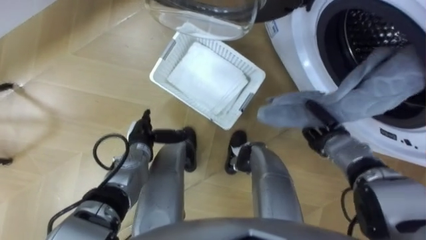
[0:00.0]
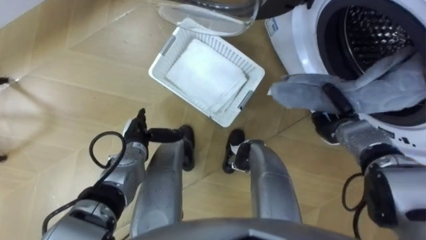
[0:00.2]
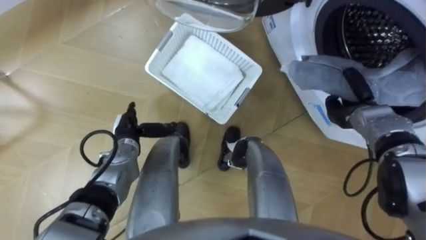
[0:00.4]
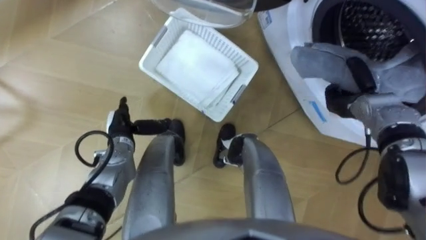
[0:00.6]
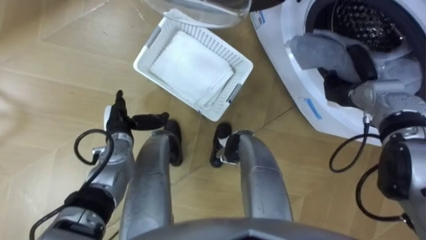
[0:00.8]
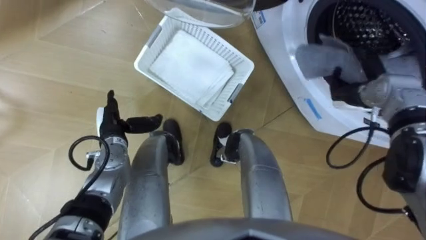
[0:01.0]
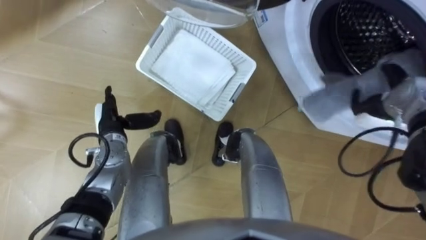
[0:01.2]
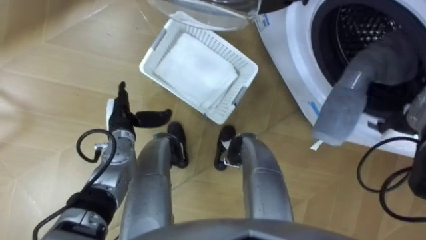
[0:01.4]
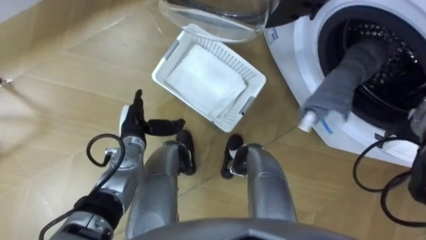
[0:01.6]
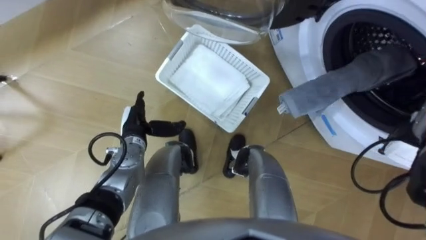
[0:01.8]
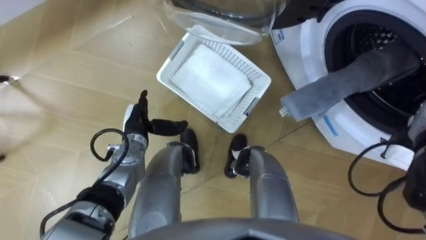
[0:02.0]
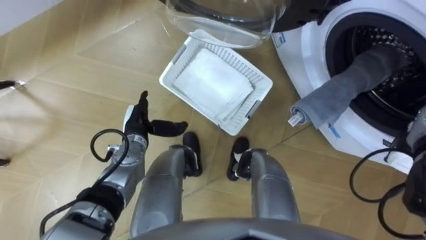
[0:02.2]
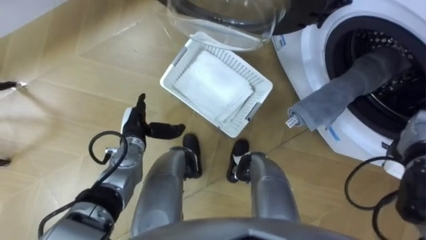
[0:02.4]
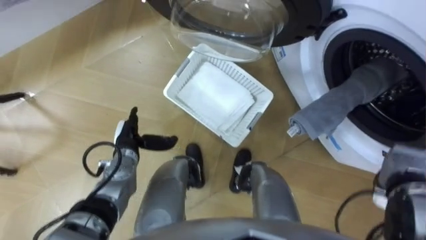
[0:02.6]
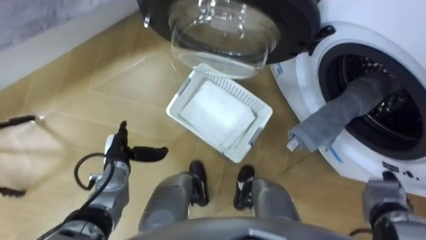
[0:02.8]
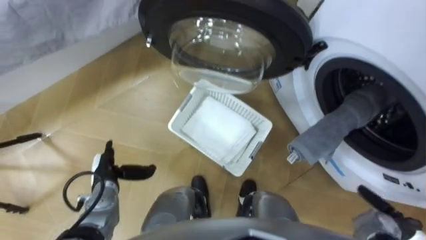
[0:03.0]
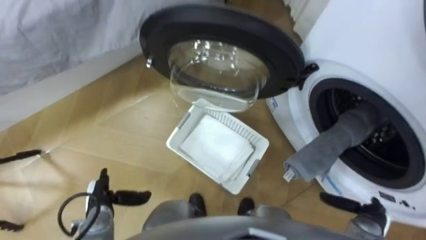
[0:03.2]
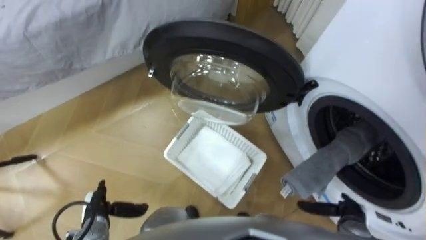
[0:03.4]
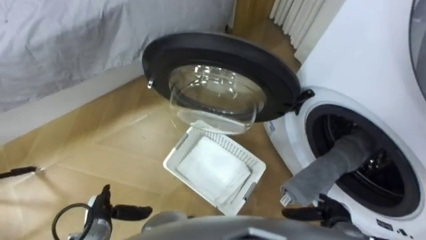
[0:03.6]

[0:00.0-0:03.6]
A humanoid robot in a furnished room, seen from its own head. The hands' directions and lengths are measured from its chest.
Task of the whole recording: Take the towel from the basket and put it into the washing machine.
0:00.0 to 0:01.8: The right hand shifts approximately 15 cm to the right and upward, and opens its fingers.
0:01.8 to 0:03.6: The hands both shift backward, downward and to the left by approximately 25 cm.

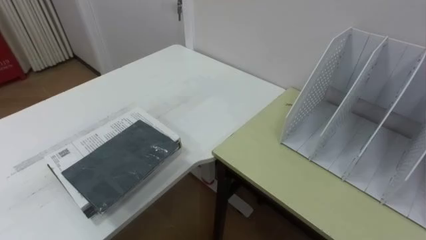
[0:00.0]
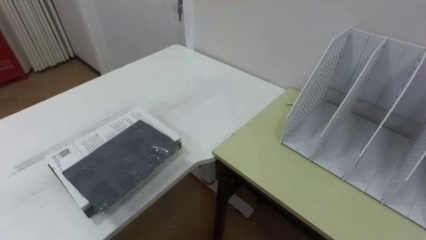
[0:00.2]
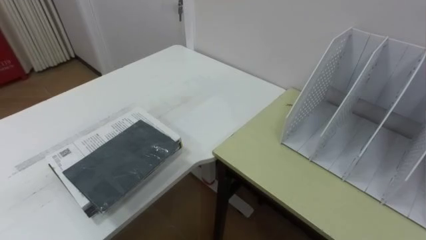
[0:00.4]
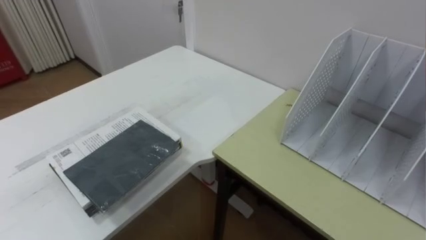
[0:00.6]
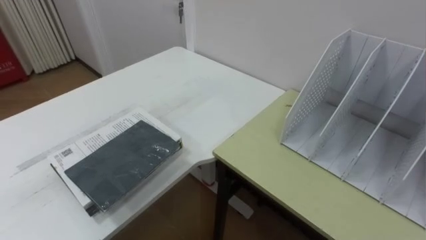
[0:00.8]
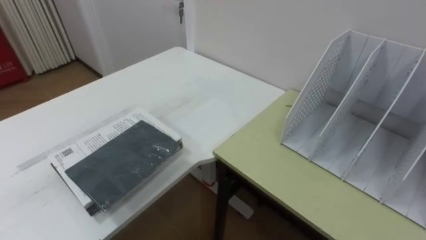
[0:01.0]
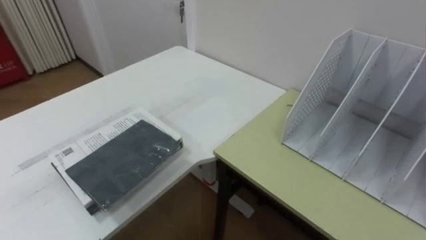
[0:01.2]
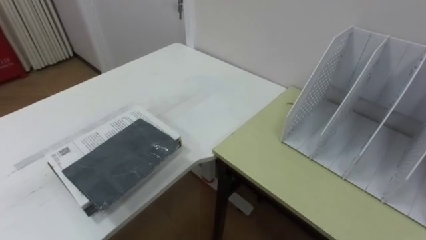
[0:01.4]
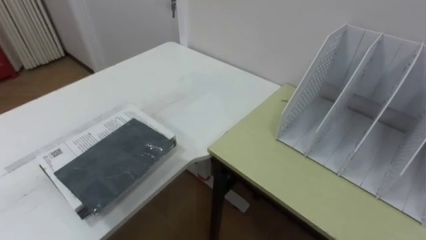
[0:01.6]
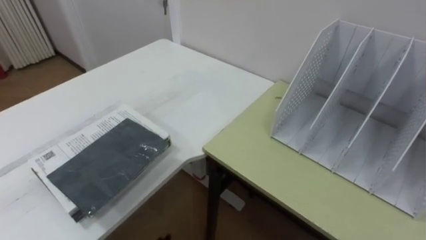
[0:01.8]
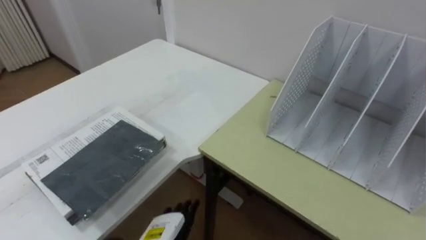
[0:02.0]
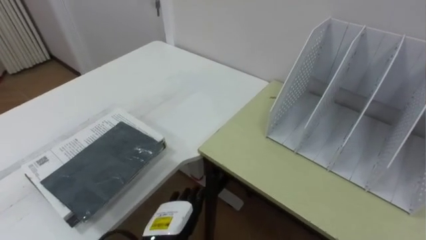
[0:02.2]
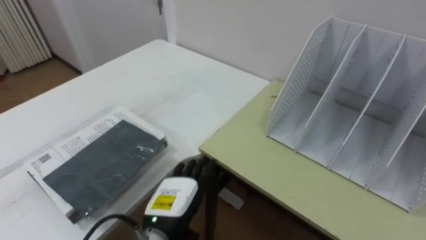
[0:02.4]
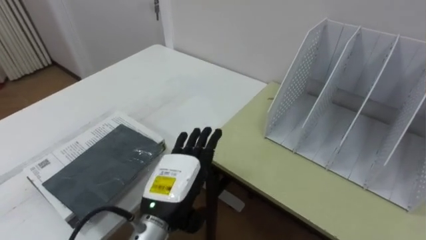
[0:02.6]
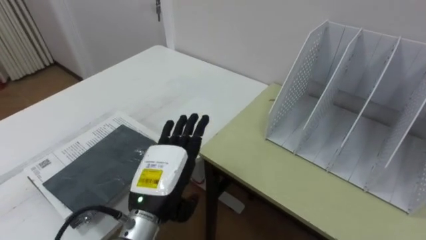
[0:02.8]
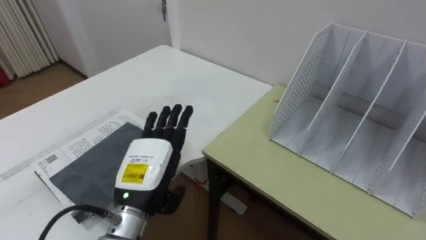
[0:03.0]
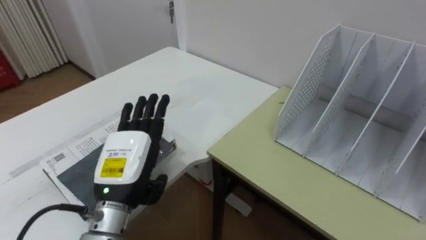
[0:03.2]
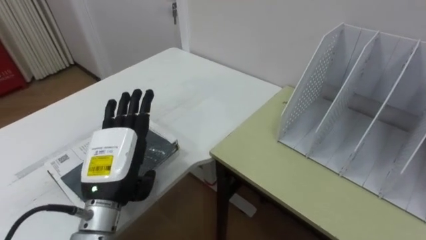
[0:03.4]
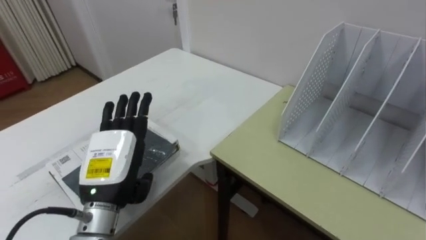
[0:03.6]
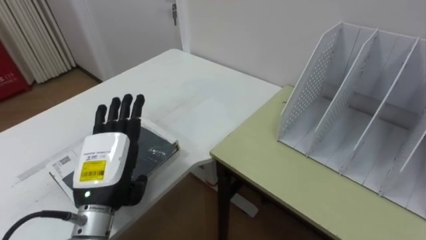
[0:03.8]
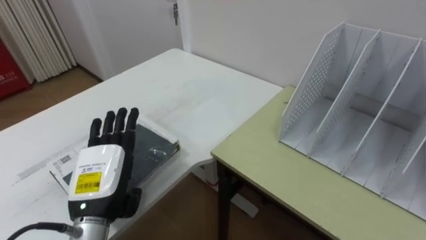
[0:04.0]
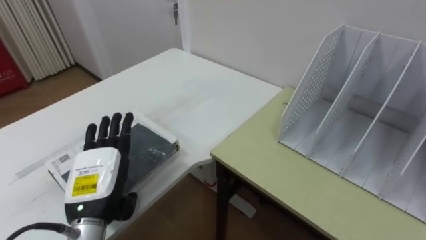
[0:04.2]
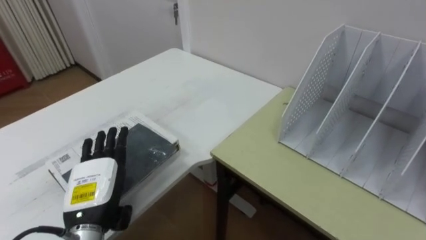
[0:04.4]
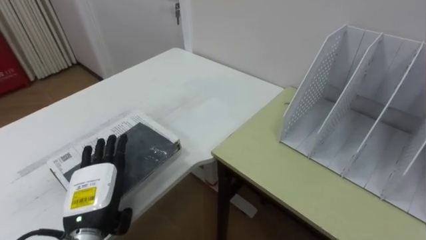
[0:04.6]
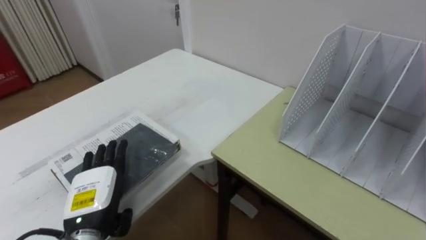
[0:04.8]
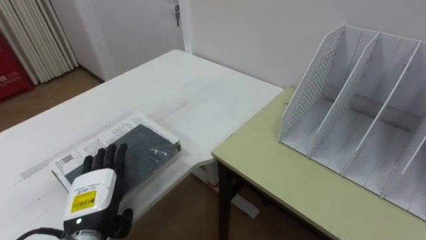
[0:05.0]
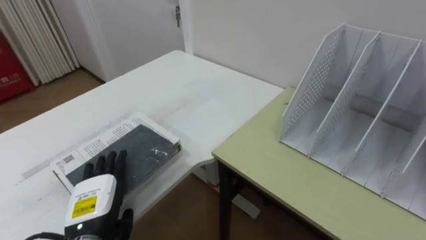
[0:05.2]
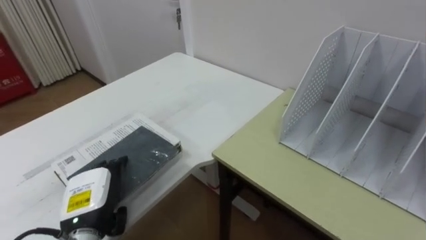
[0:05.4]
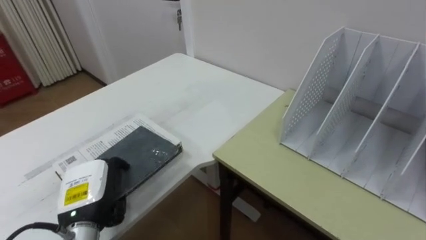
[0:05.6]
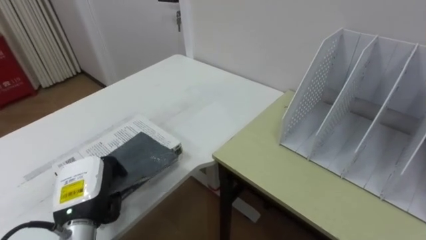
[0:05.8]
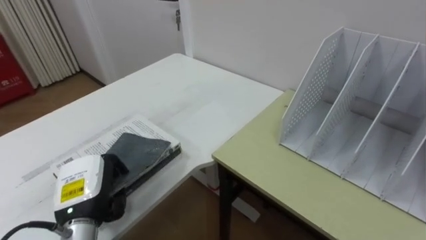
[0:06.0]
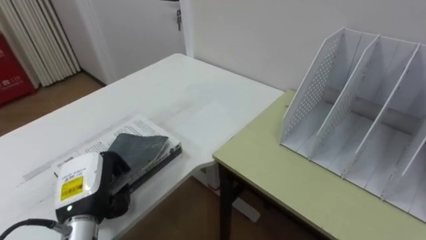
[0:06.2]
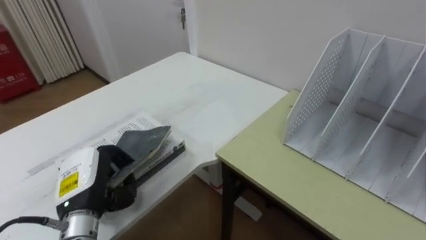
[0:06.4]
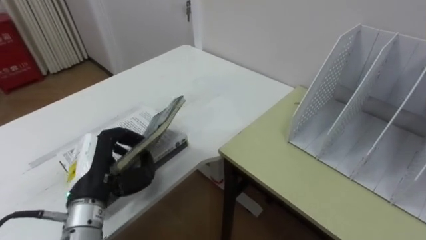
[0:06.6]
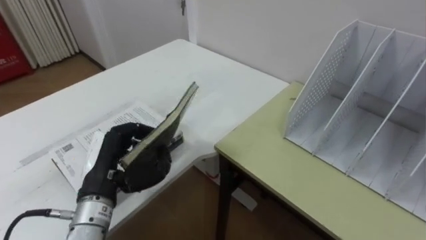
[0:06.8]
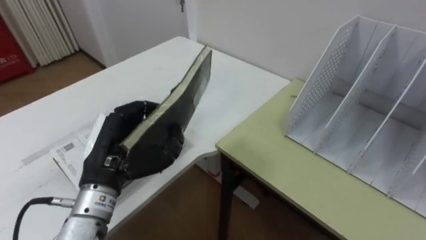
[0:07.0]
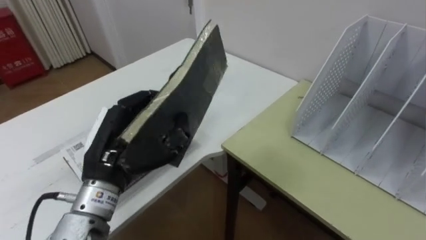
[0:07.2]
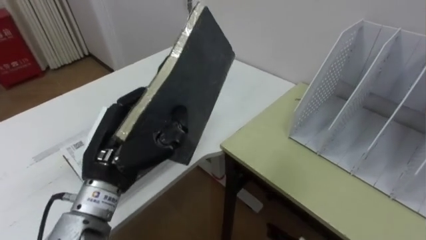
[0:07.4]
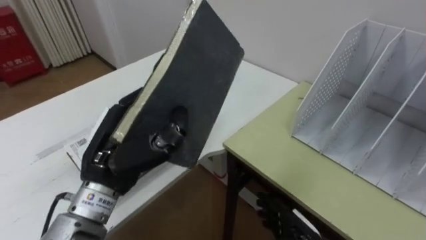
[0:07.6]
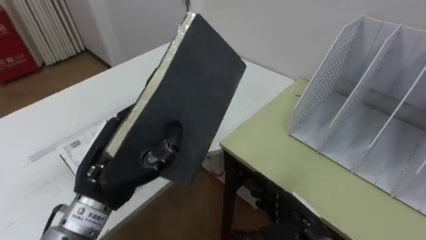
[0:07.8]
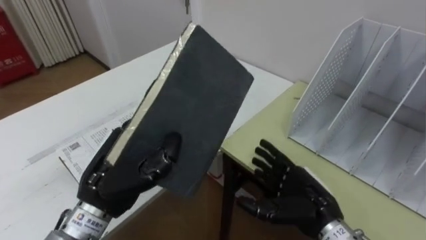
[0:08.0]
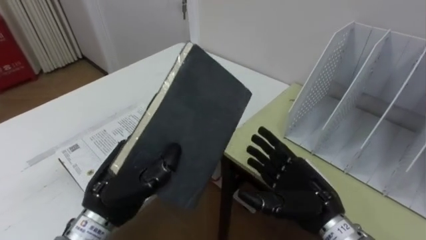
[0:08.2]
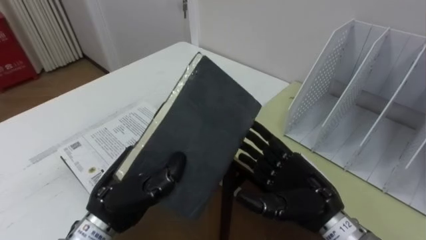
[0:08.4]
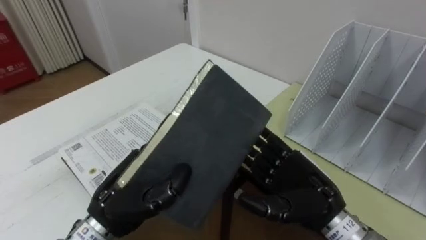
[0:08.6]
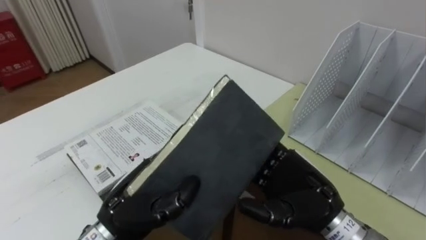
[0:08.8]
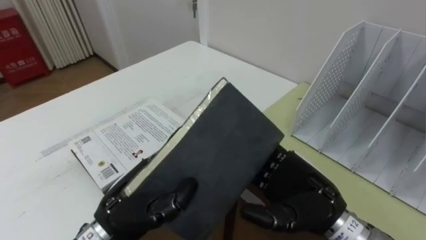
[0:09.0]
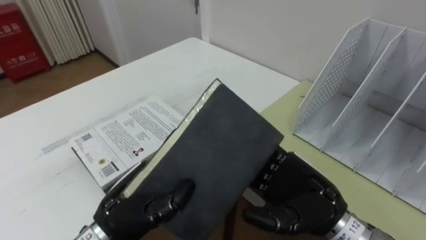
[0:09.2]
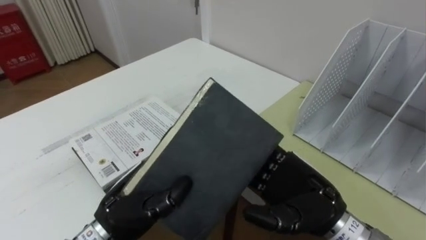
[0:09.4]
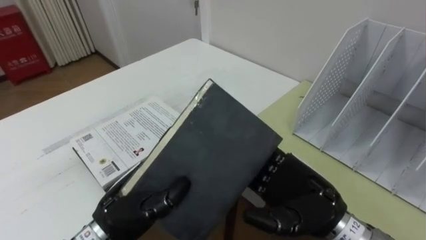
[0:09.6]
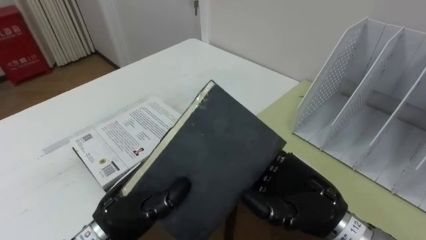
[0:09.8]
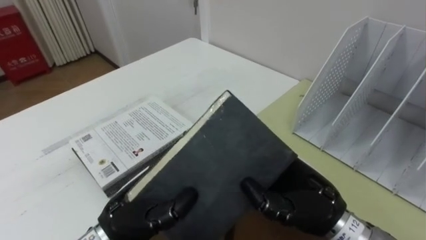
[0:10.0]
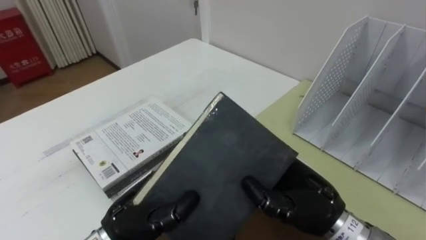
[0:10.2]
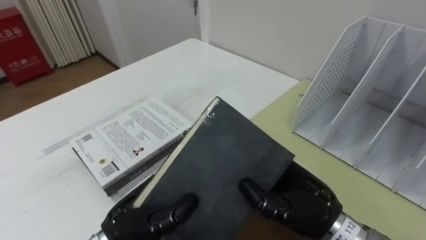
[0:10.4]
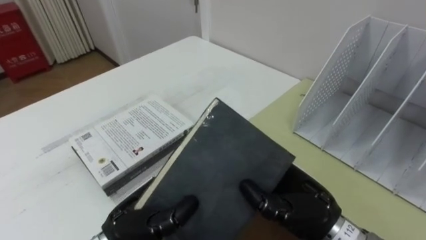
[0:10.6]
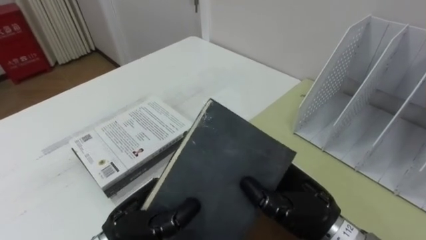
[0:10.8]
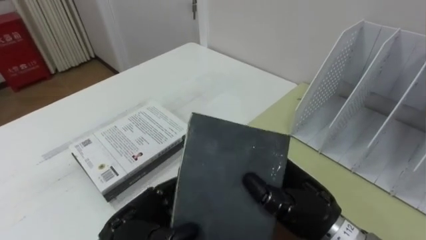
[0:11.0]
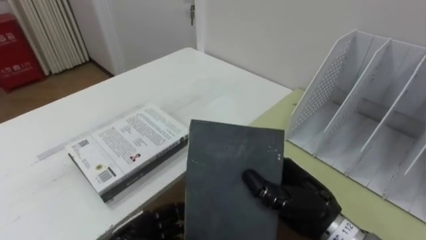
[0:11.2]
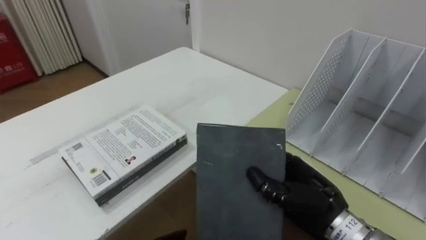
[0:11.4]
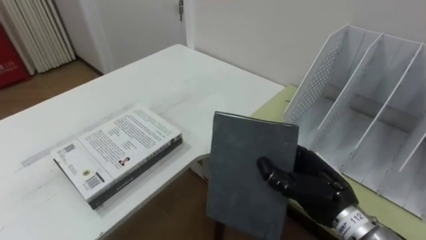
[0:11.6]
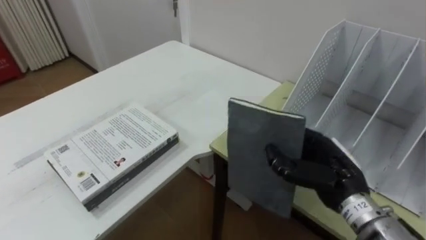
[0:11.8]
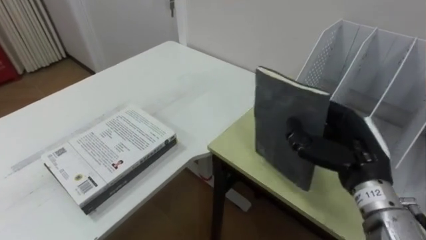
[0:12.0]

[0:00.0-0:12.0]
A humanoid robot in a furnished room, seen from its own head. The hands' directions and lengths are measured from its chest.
Task of the whole recording: Put the books on the table onto the bookshelf.
0:03.0 to 0:04.4: The left hand heads to the left, covering roughly 10 cm.
0:04.4 to 0:06.0: The left hand closes its fingers.
0:06.0 to 0:07.6: The left hand is displaced upward and to the right by approximately 15 cm.
0:07.6 to 0:09.0: The right hand goes about 15 cm upward, while the left hand is displaced downward by approximately 5 cm.
0:09.0 to 0:10.4: The right hand closes.
0:10.4 to 0:12.0: The right hand shifts roughly 10 cm to the right.

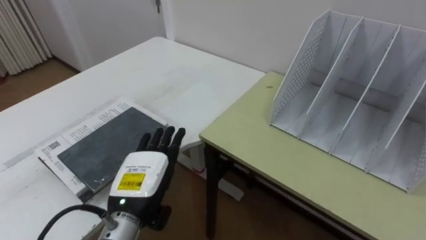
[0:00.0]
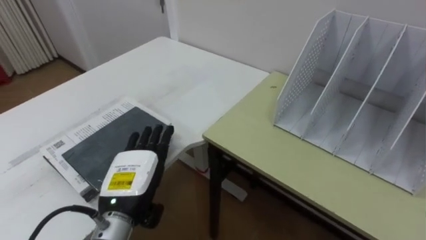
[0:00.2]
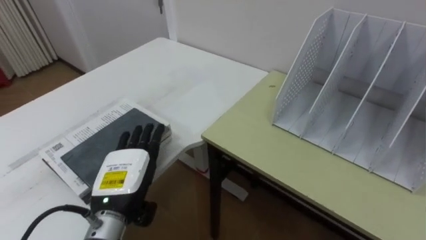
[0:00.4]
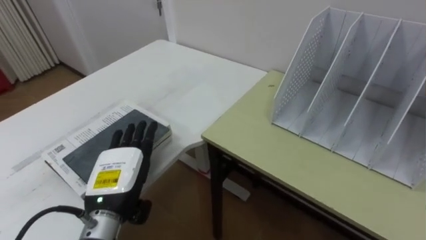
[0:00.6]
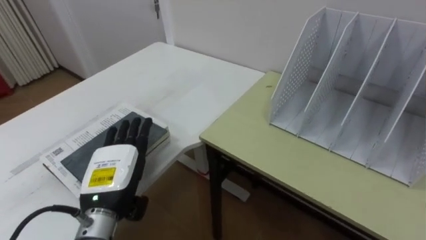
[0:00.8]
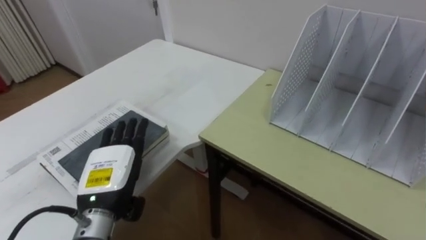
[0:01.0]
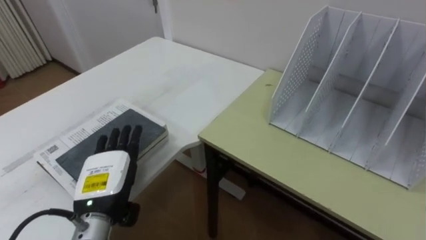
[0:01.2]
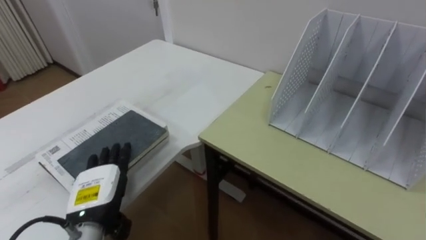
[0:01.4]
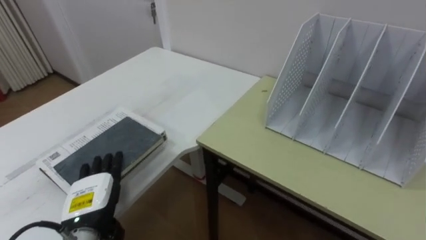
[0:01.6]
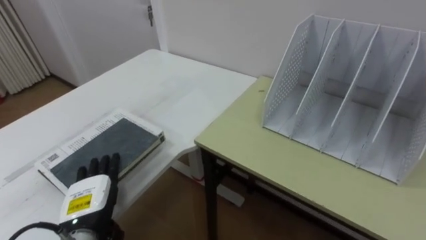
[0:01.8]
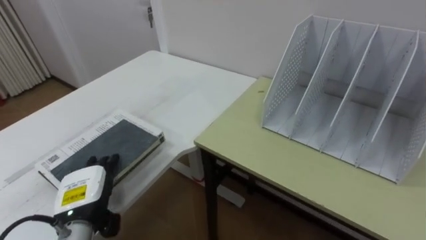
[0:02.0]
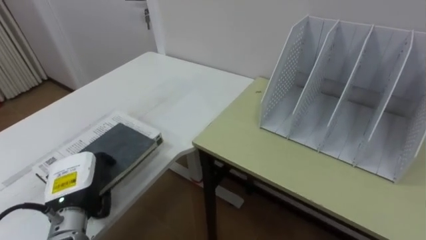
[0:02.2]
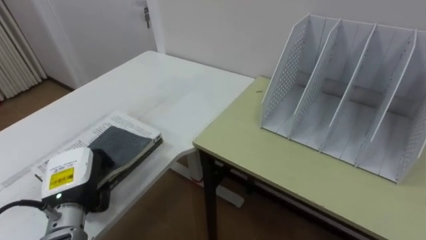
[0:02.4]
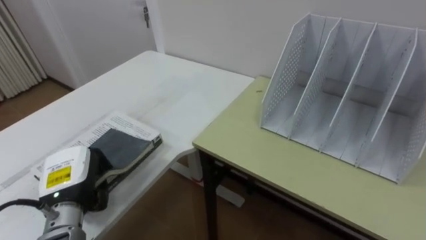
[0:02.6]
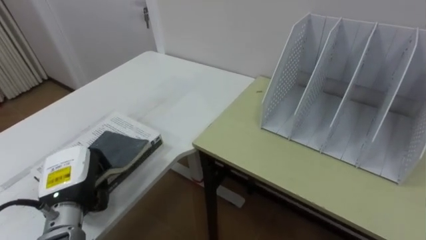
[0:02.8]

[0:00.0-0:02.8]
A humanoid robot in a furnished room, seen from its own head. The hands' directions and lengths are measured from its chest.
Task of the whole recording: Put the books on the table onto the bookshelf.
0:00.0 to 0:01.4: The left hand goes approximately 10 cm to the left.
0:01.4 to 0:02.8: The left hand travels to the left by approximately 5 cm, and closes its fingers.
